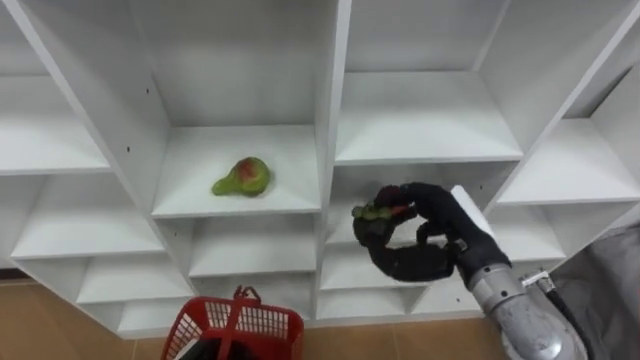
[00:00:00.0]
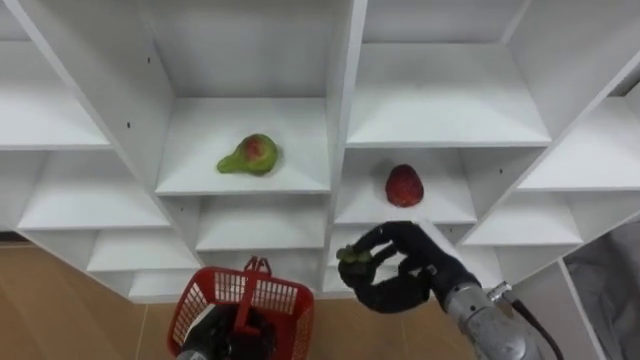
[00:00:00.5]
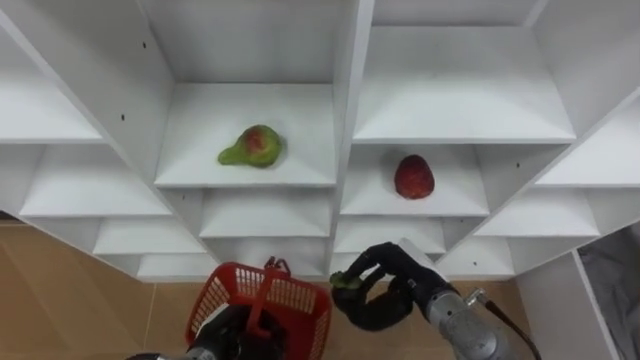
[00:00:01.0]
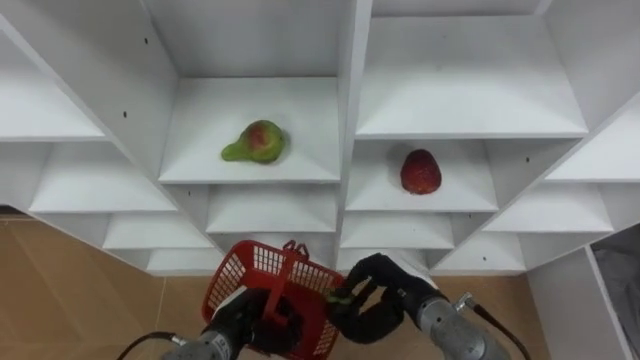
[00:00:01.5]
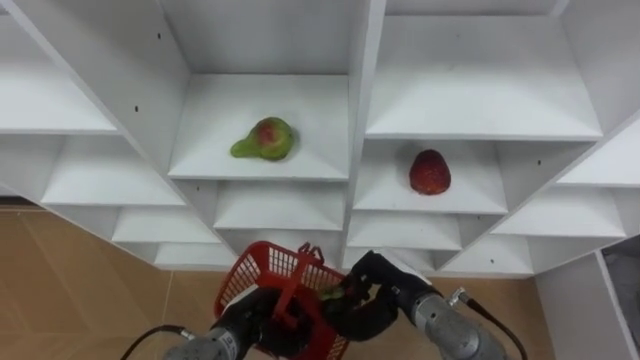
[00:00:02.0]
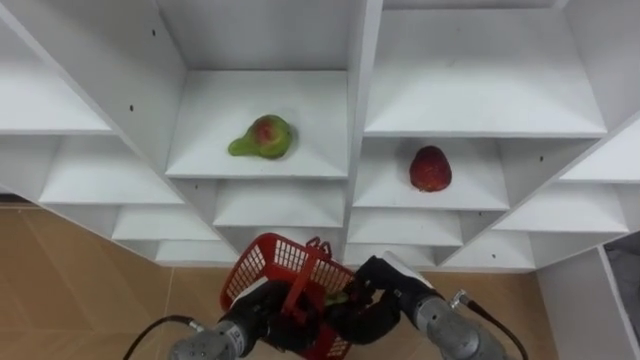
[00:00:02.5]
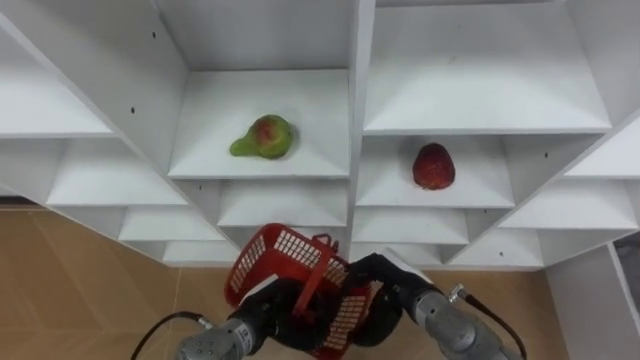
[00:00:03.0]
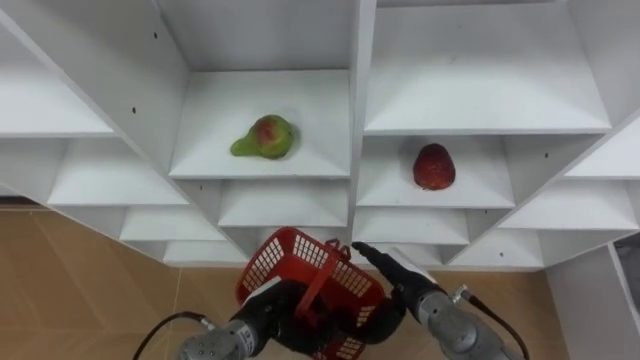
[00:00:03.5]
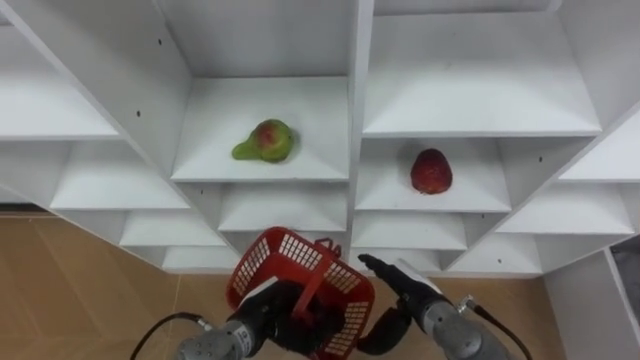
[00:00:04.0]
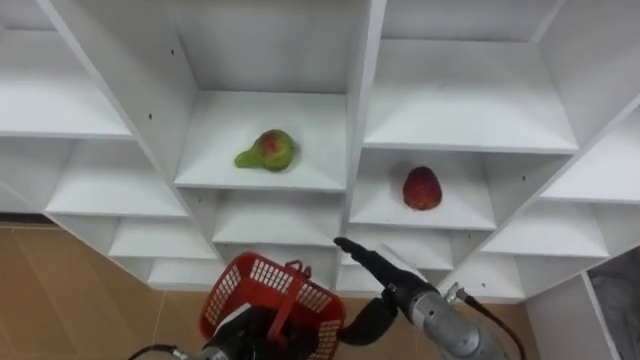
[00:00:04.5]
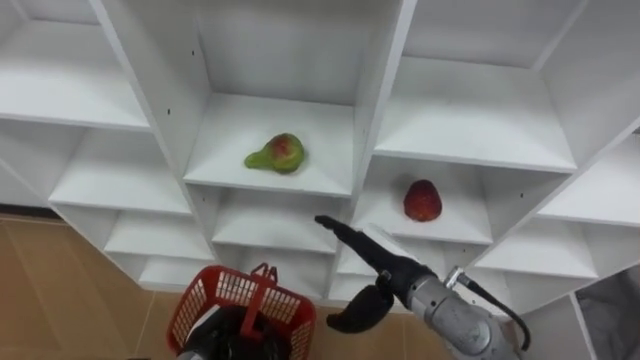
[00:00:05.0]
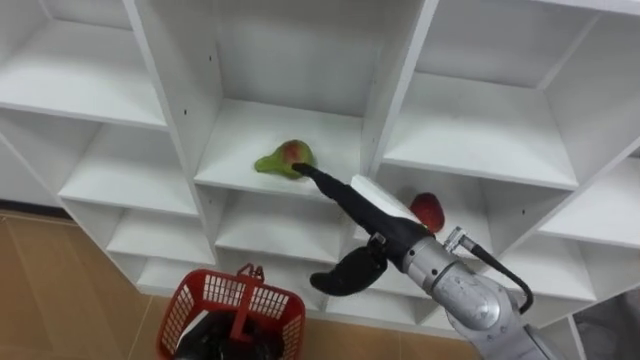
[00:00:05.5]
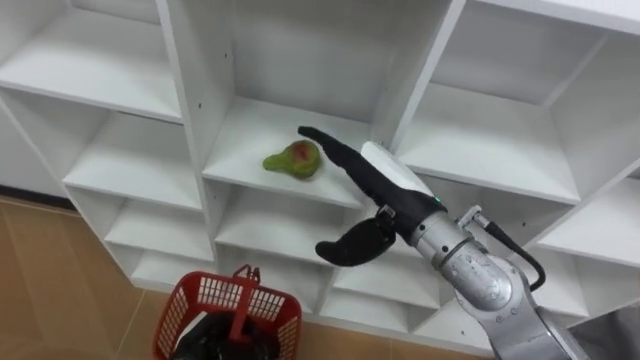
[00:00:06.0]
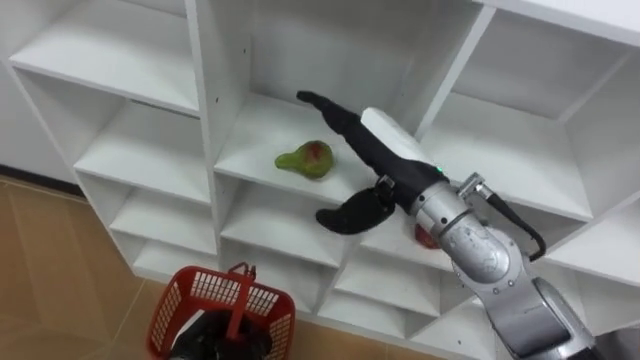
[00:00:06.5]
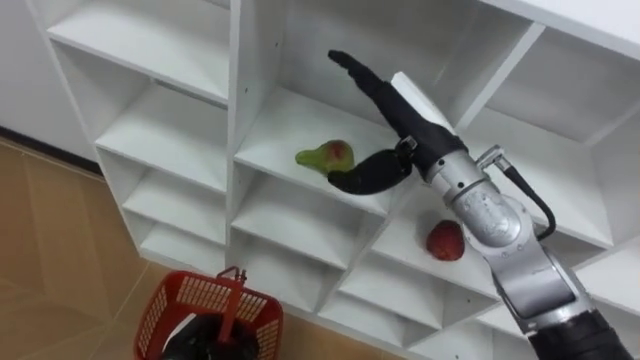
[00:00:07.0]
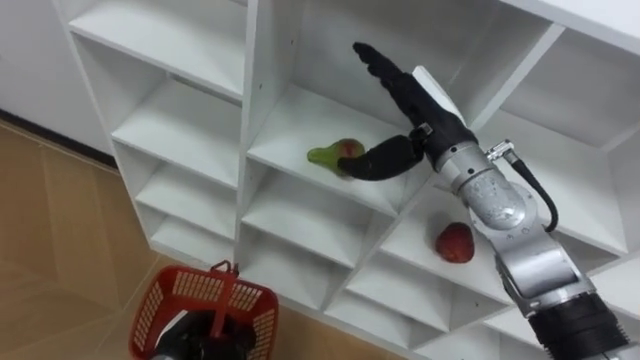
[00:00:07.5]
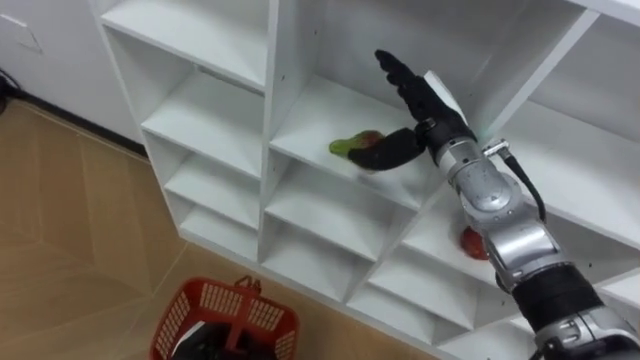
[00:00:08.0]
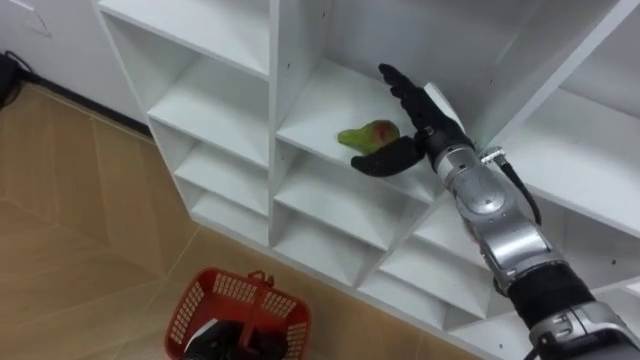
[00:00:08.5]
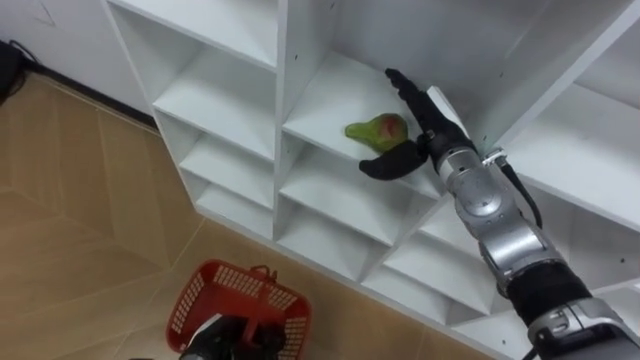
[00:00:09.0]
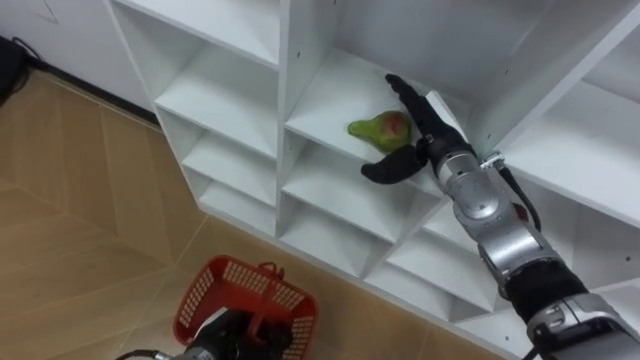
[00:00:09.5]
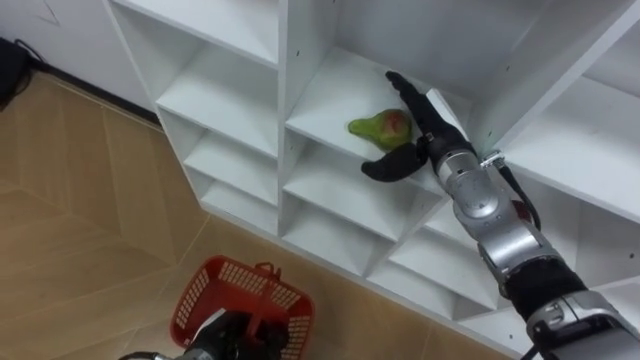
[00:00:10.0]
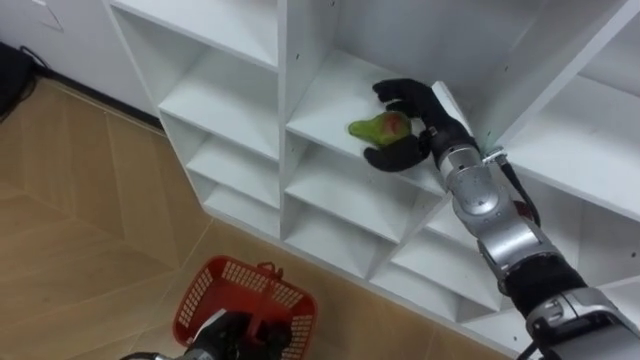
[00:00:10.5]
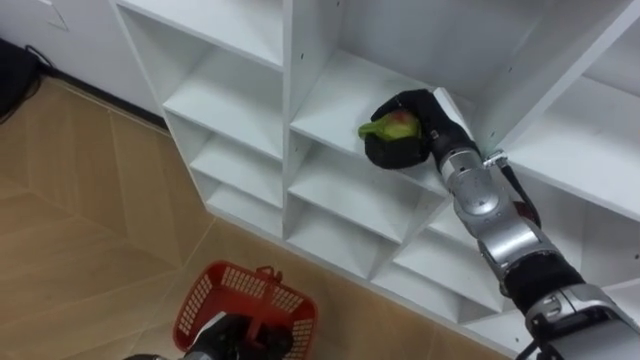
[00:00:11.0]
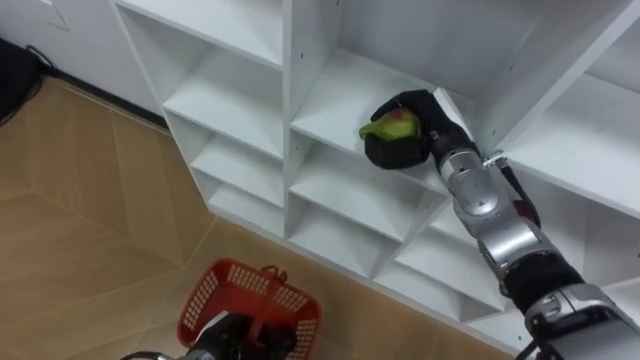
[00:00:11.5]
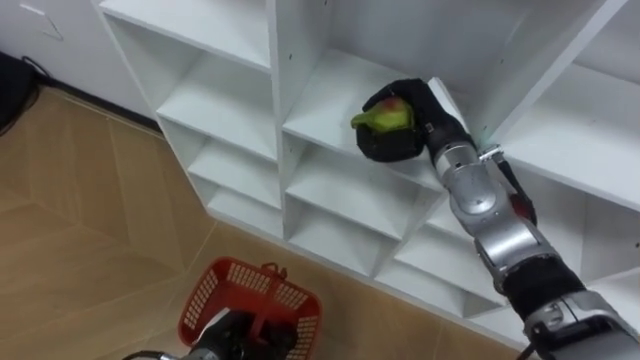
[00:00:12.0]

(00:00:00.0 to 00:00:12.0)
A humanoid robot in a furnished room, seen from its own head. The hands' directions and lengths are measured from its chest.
Task of the whole recording: Hold the basket and collect the fruits from 3 different cells of the closet into it.
00:00:00.0 - 00:00:02.0: The right hand is displaced downward and to the left by some 15 cm.
00:00:02.0 - 00:00:04.0: The right hand opens its fingers.
00:00:04.0 - 00:00:06.0: The left hand goes about 10 cm to the left; the right hand goes roughly 20 cm upward.
00:00:06.0 - 00:00:08.0: The right hand goes approximately 10 cm forward and to the right.
00:00:10.0 - 00:00:12.0: The right hand closes up.

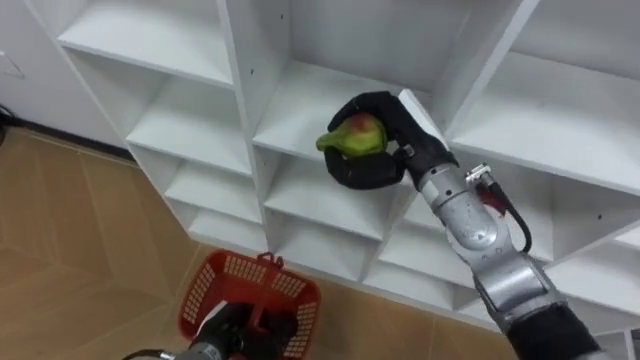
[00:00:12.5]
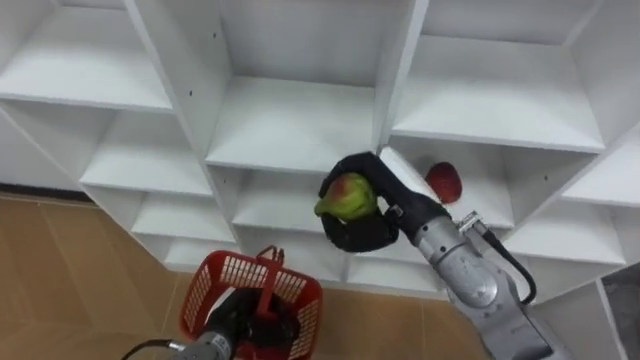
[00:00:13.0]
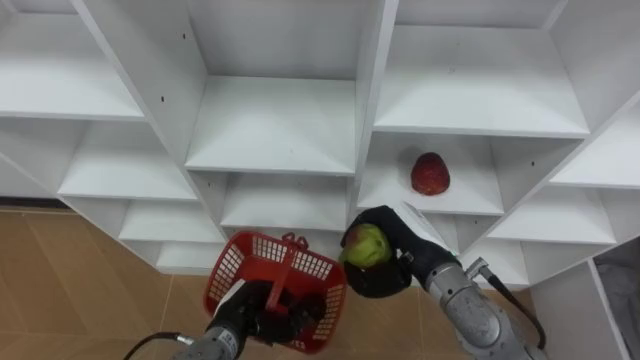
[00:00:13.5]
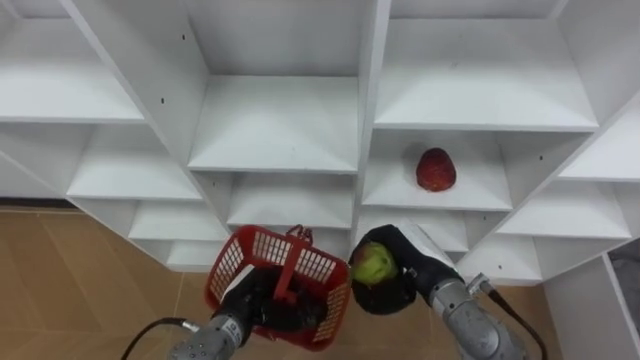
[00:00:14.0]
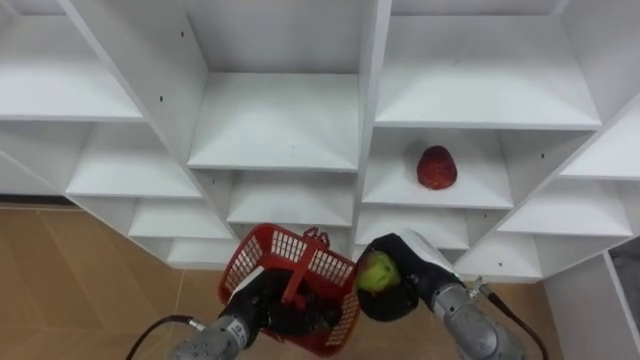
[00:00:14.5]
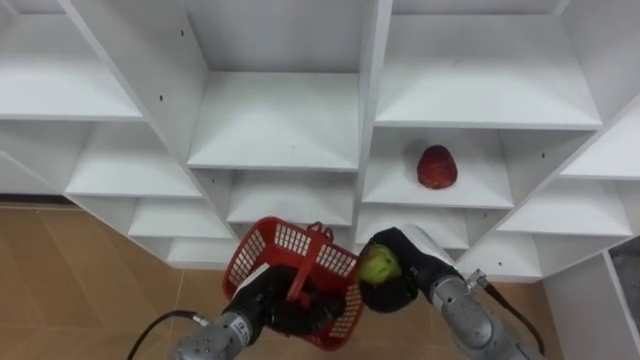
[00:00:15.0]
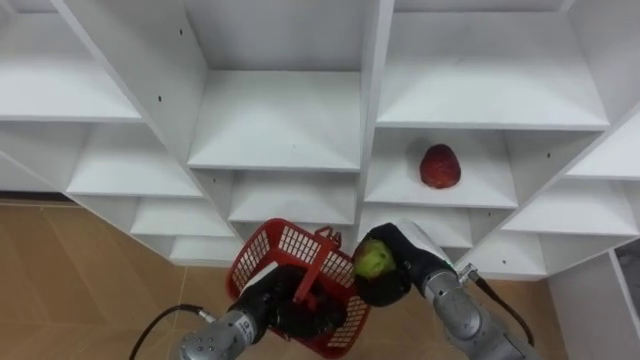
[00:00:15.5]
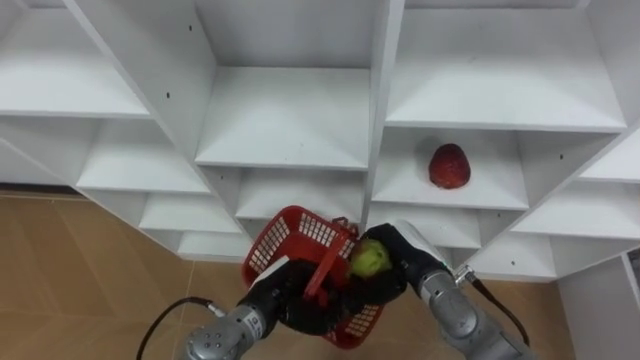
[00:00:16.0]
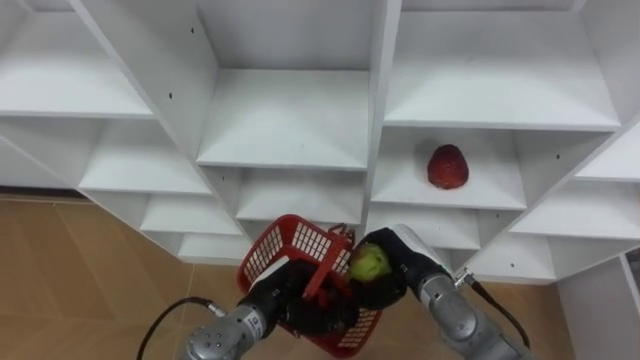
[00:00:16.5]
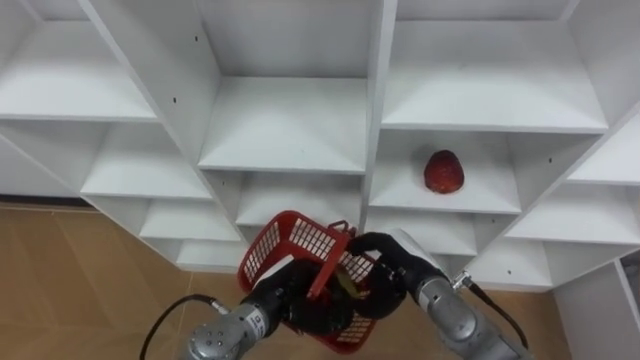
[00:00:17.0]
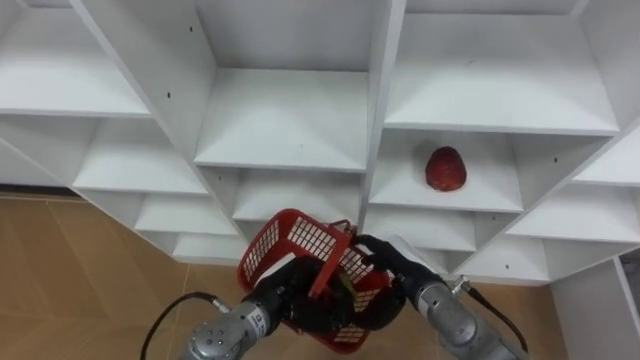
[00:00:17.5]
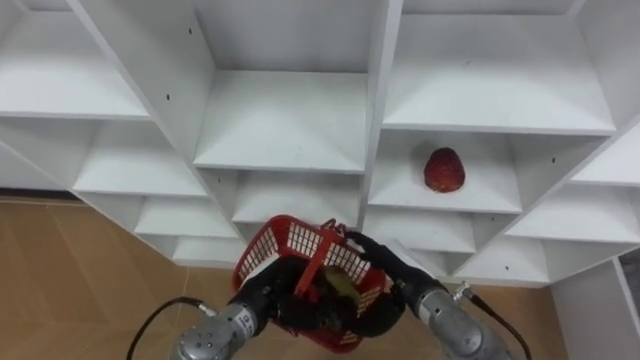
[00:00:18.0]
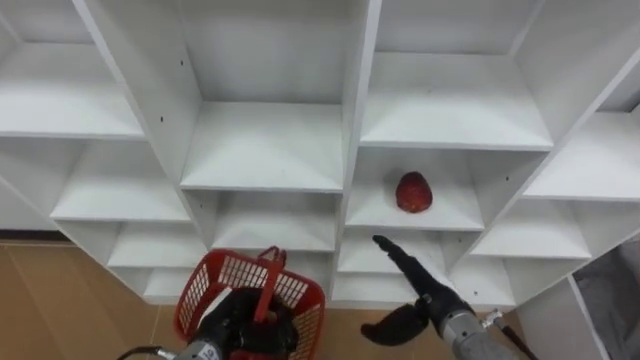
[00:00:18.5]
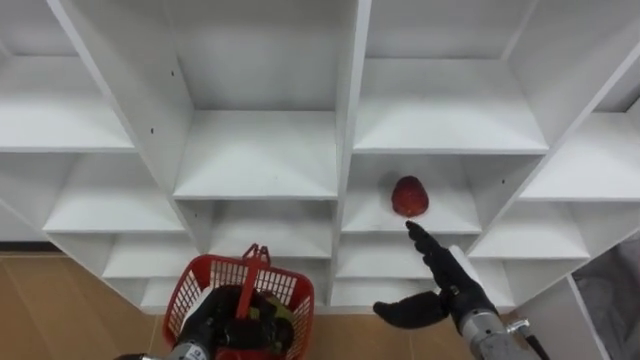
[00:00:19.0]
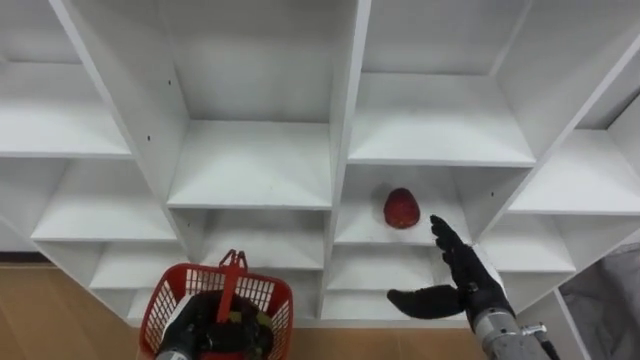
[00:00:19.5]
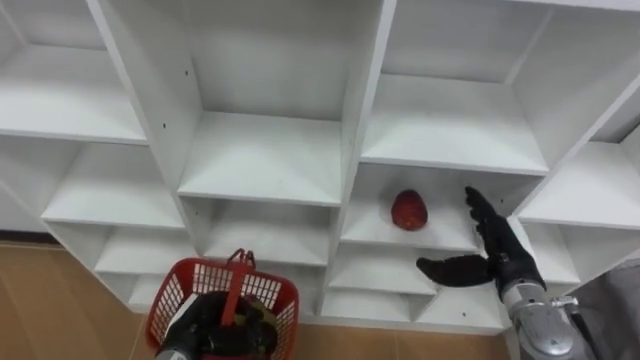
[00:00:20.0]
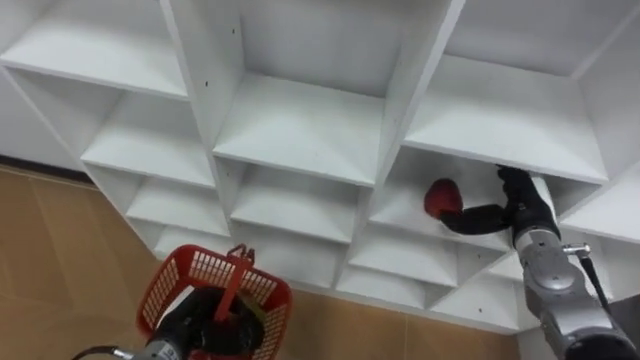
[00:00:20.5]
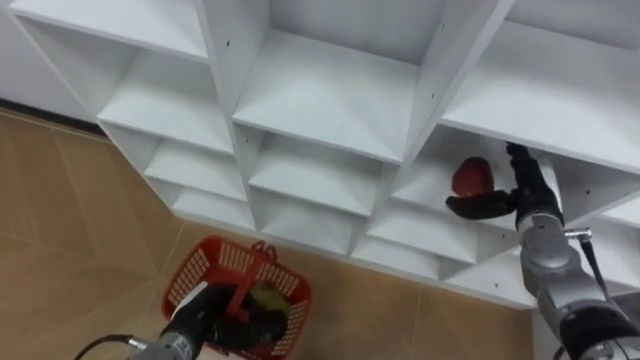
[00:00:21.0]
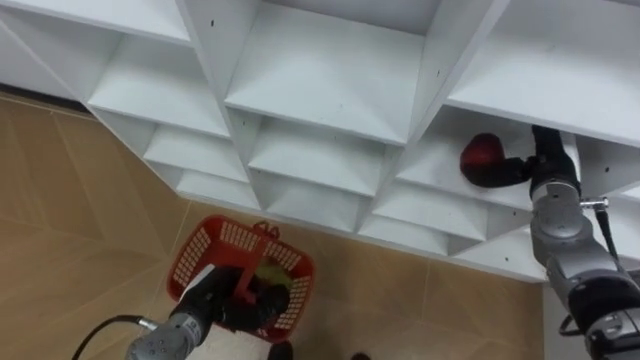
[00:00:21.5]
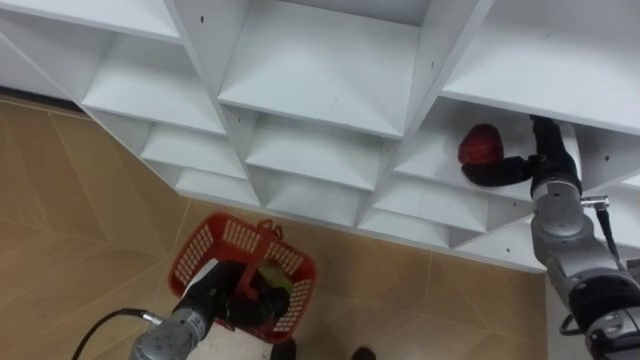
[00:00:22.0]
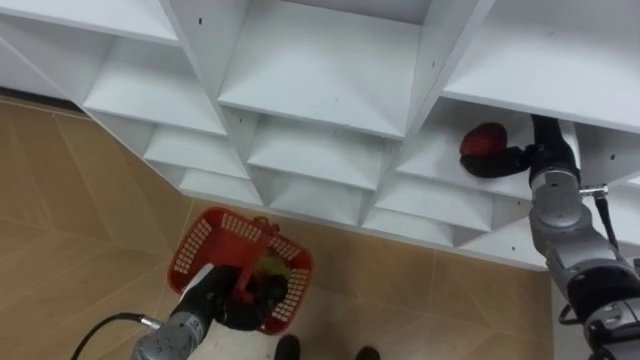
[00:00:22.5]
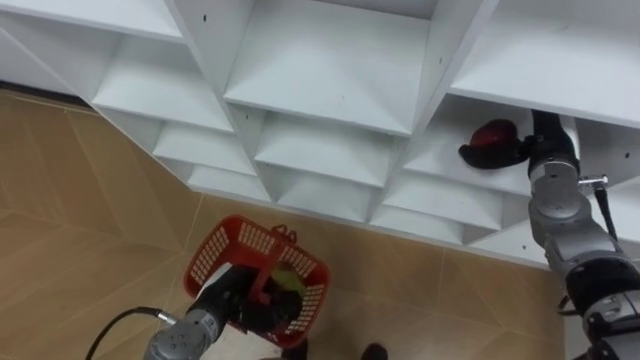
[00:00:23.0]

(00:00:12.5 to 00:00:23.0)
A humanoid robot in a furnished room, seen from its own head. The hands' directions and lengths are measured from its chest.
Task of the whole recording: Hold the basket and collect the fruits from 3 different cells of the closet into it.
00:00:12.5 - 00:00:14.5: The left hand ends up some 5 cm from where it was. Meanwhile the right hand moves downward and backward, roughly 20 cm.
00:00:14.5 - 00:00:16.5: The hands move only a little.
00:00:16.5 - 00:00:19.0: The right hand heads to the right, covering about 5 cm, and opens; the left hand goes about 10 cm to the left.
00:00:19.0 - 00:00:21.0: The right hand shifts roughly 15 cm forward, to the right and upward.
00:00:21.0 - 00:00:23.0: The right hand travels upward by roughly 5 cm.
